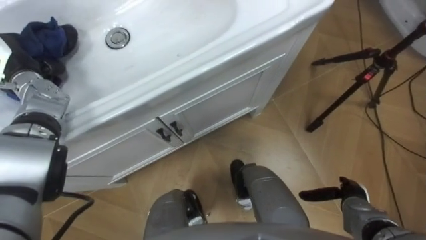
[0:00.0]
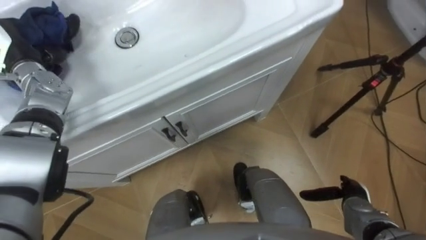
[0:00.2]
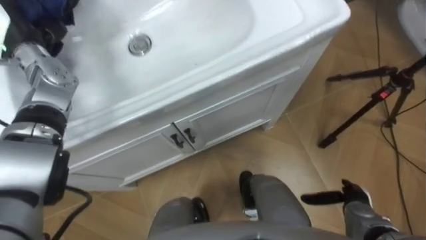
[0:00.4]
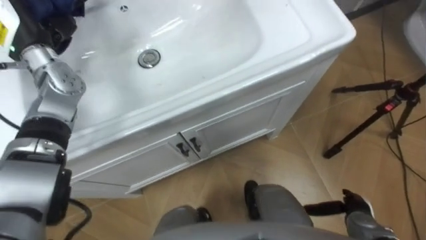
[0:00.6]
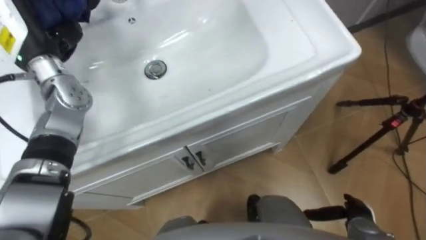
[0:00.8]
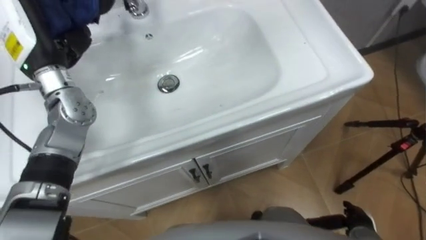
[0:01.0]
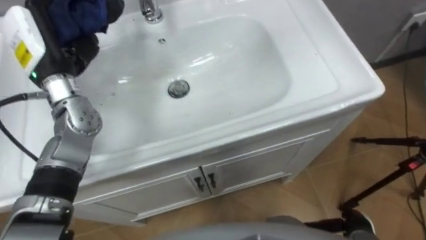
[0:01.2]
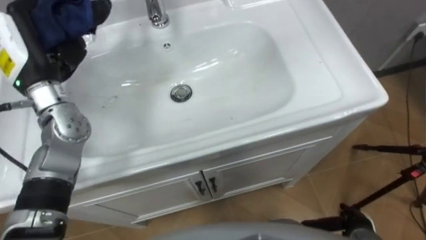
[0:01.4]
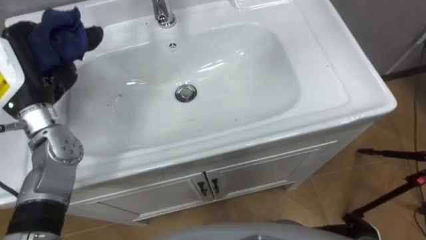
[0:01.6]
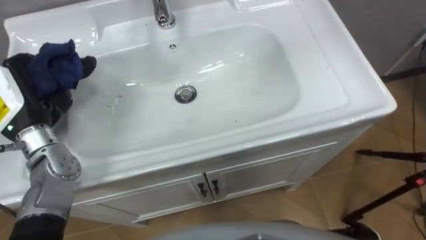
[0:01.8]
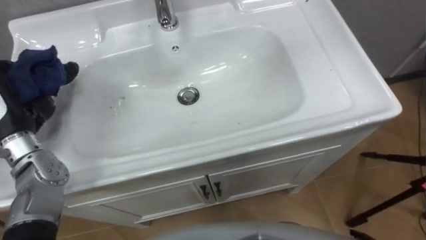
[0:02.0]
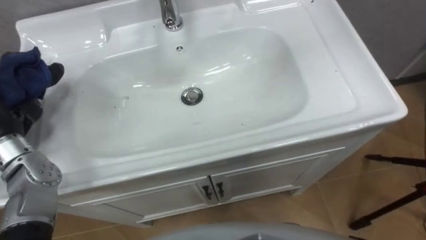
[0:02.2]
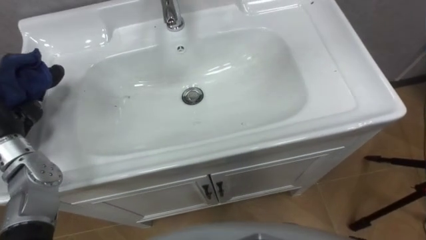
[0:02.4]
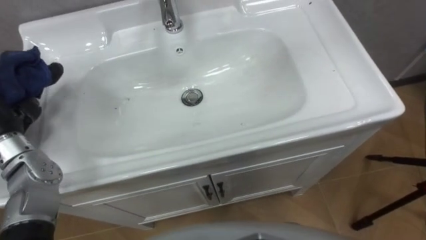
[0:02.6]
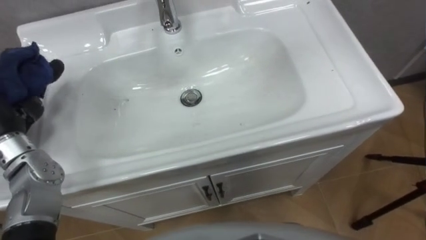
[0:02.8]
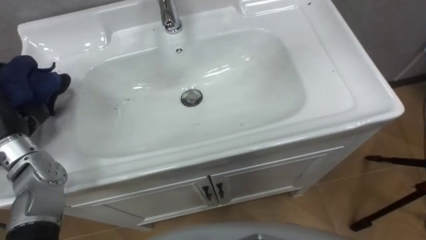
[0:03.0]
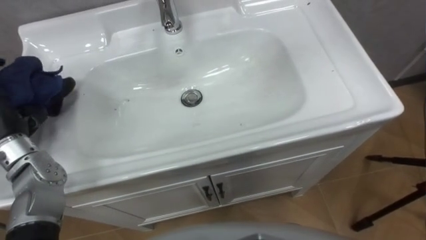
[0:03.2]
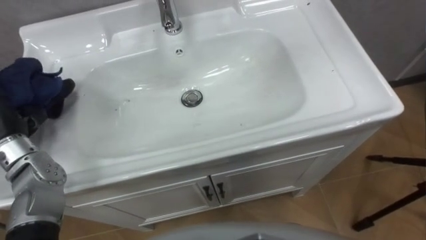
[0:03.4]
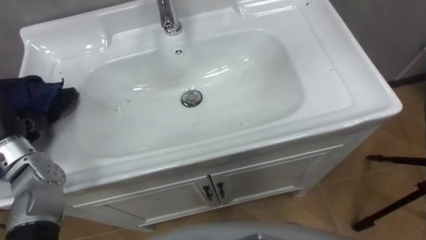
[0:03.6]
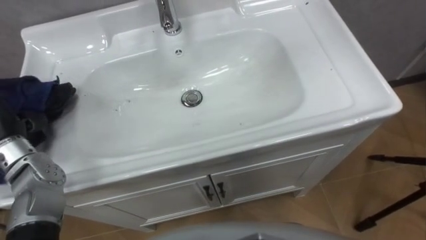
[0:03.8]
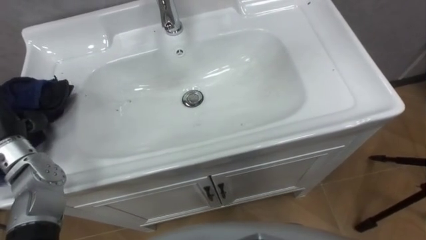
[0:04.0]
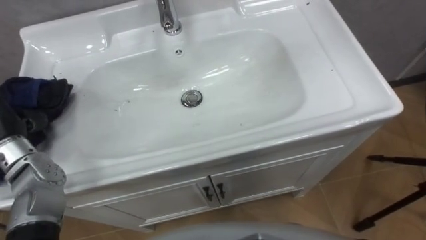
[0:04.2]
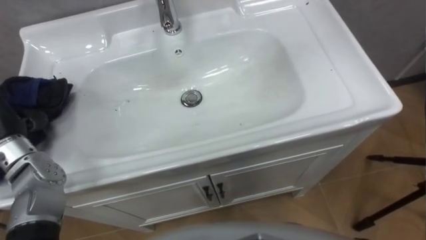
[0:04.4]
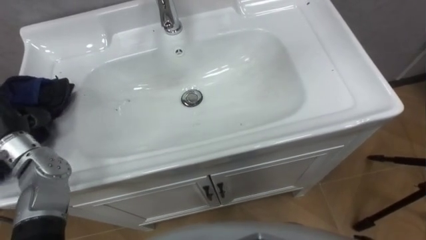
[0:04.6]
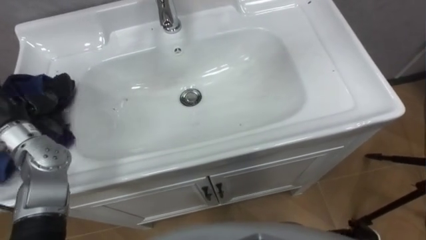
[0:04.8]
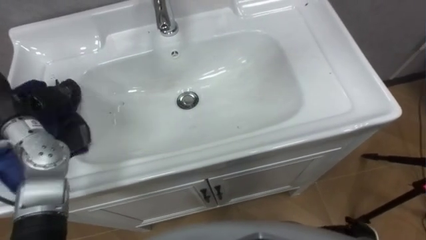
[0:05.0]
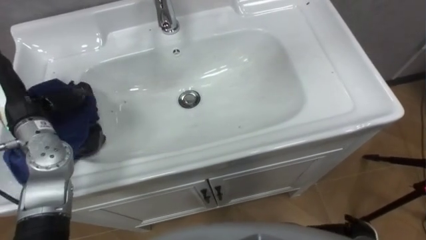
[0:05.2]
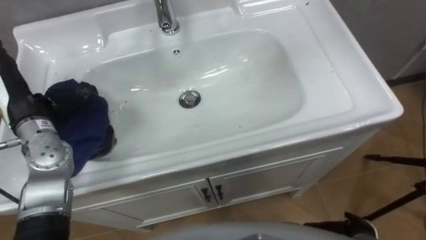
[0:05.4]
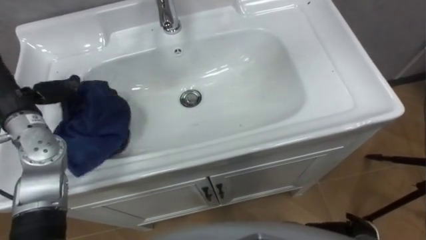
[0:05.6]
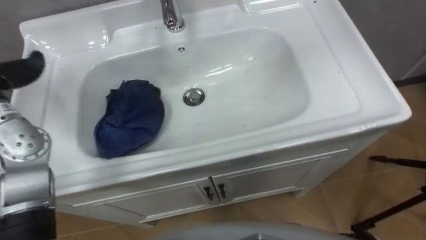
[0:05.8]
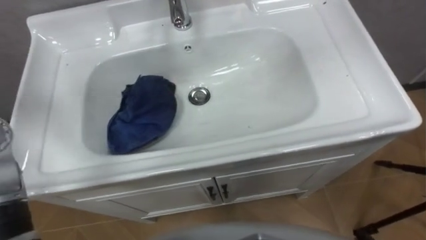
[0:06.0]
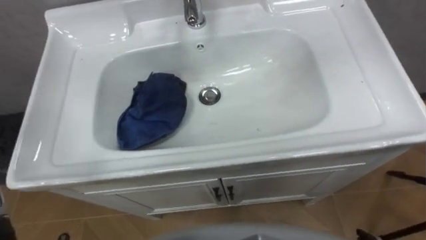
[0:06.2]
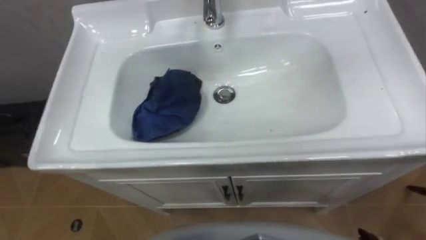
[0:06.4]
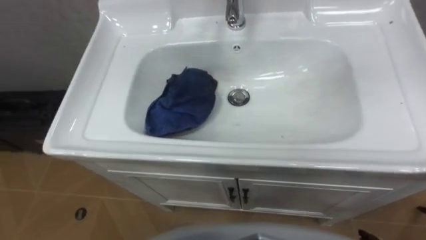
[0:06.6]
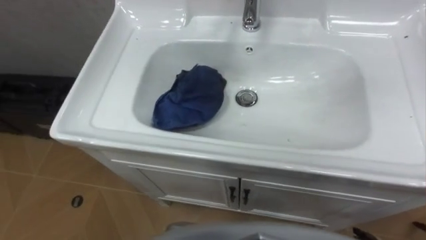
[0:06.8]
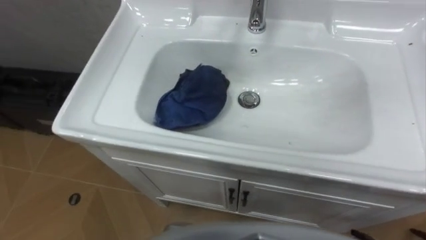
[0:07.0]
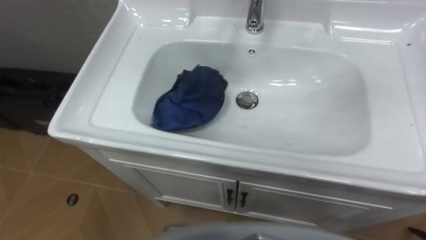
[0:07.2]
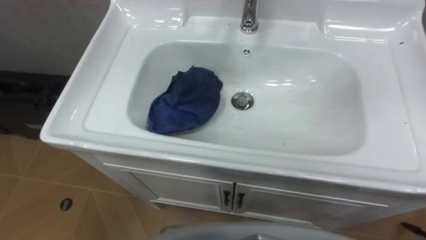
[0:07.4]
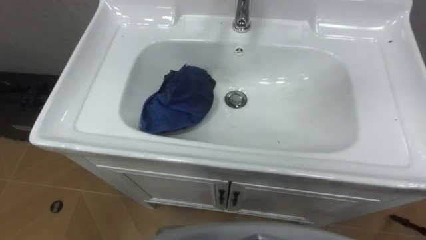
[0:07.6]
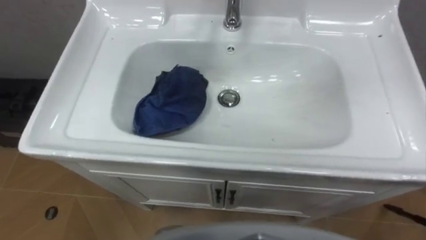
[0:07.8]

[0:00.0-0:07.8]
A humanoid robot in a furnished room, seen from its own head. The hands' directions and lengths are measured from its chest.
Task of the whole recording: Use the cloth on the right to wipe away the black stain in the sink.
0:00.0 to 0:01.6: The left hand heads backward and to the right, covering some 10 cm.

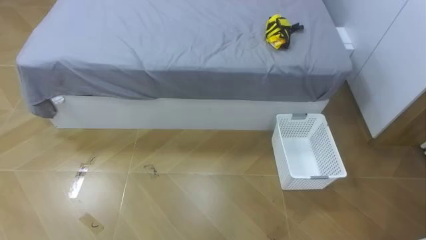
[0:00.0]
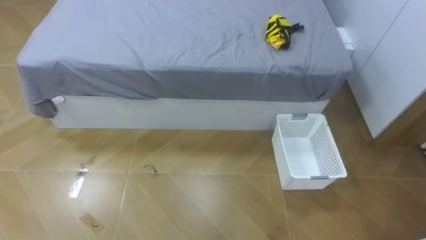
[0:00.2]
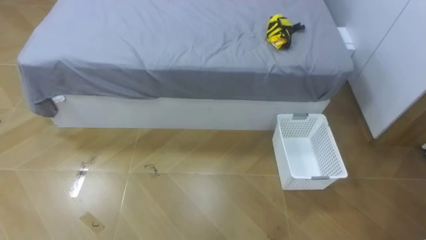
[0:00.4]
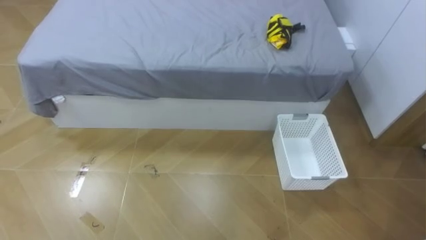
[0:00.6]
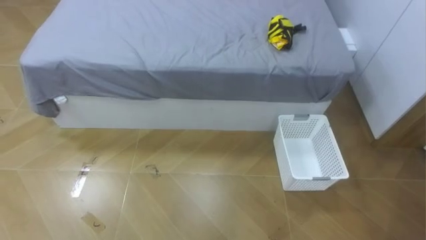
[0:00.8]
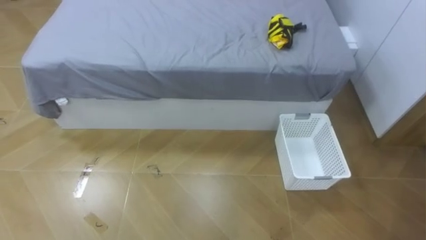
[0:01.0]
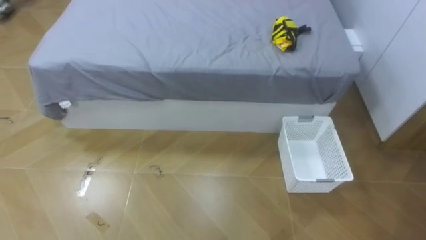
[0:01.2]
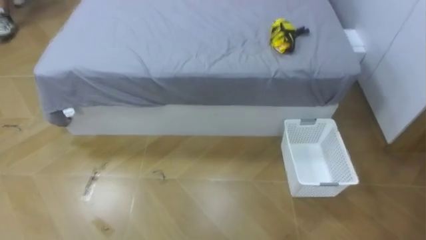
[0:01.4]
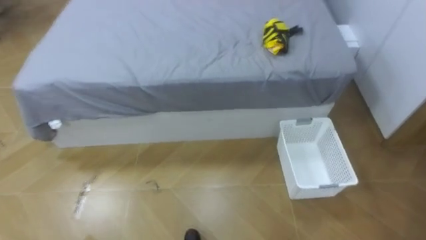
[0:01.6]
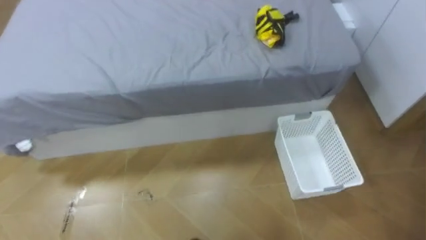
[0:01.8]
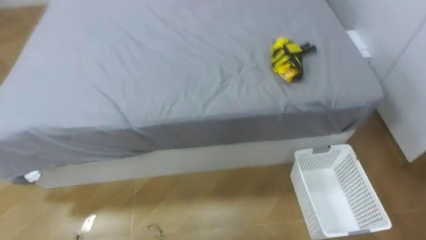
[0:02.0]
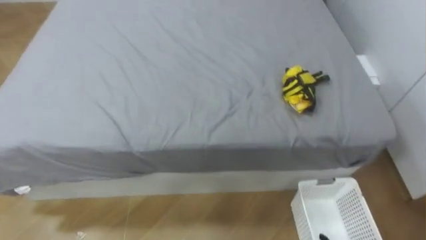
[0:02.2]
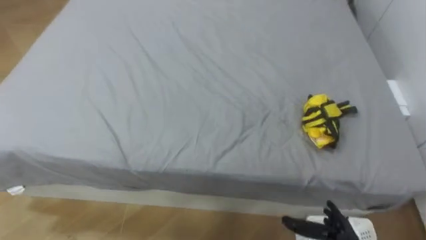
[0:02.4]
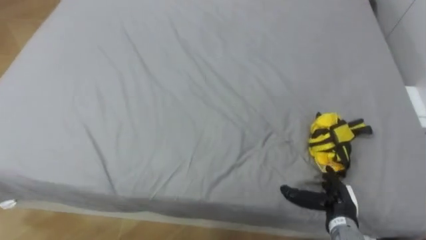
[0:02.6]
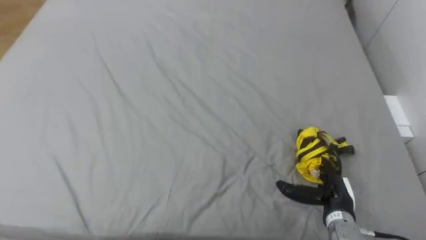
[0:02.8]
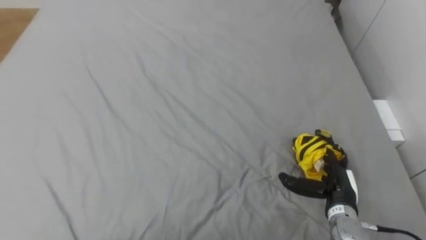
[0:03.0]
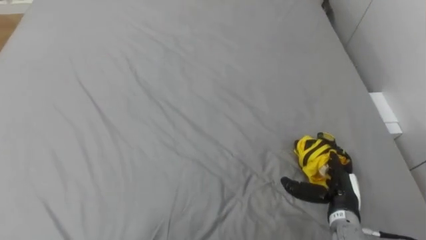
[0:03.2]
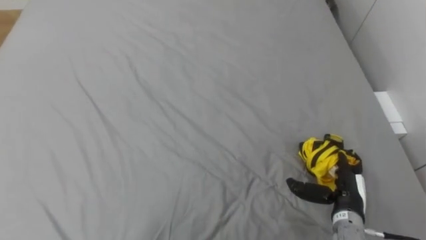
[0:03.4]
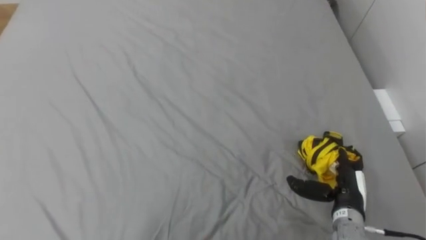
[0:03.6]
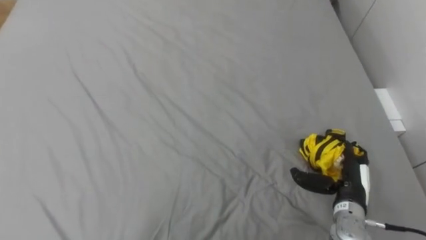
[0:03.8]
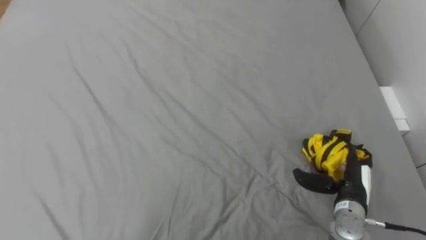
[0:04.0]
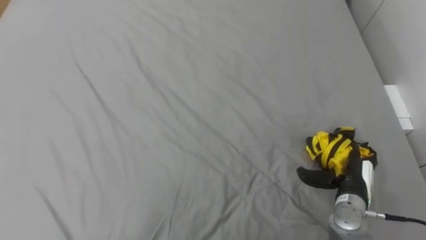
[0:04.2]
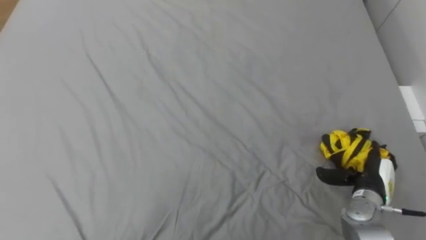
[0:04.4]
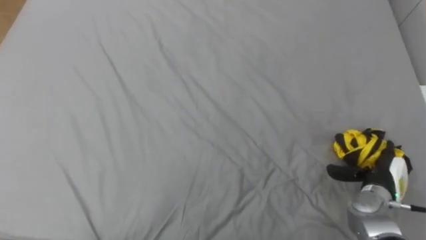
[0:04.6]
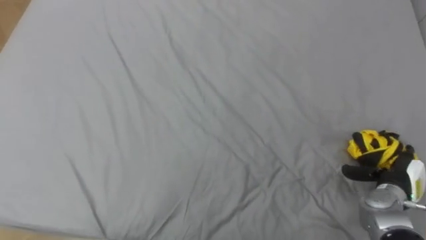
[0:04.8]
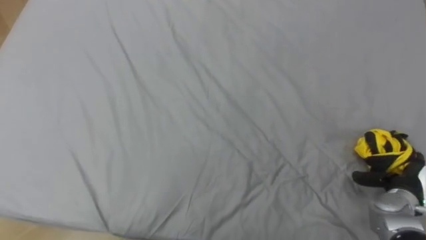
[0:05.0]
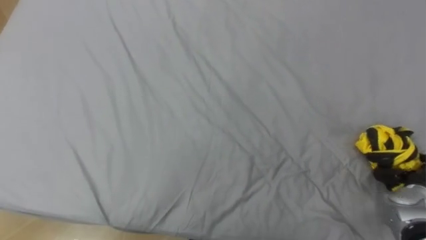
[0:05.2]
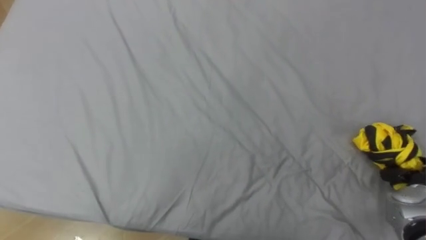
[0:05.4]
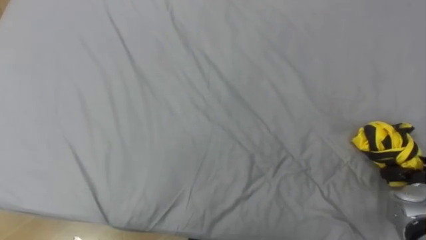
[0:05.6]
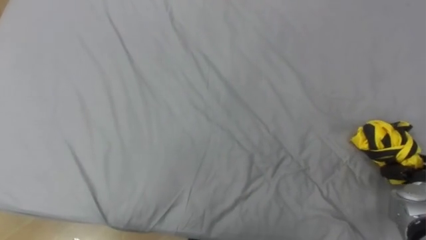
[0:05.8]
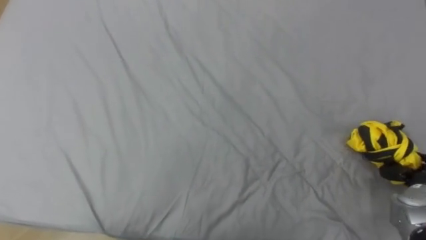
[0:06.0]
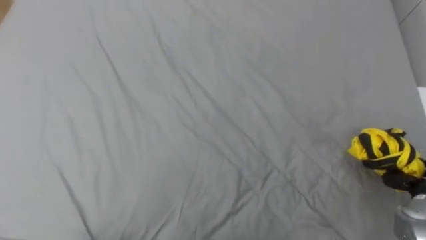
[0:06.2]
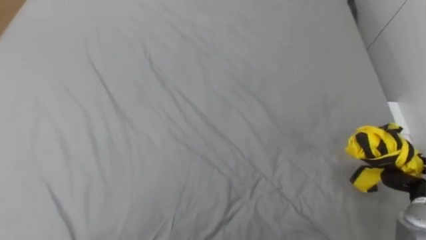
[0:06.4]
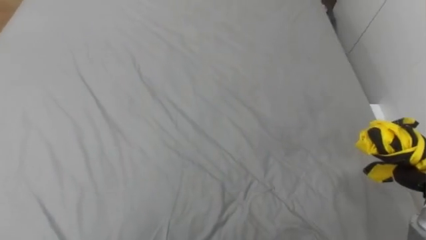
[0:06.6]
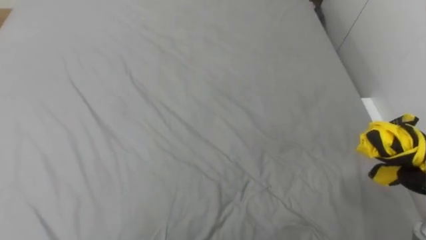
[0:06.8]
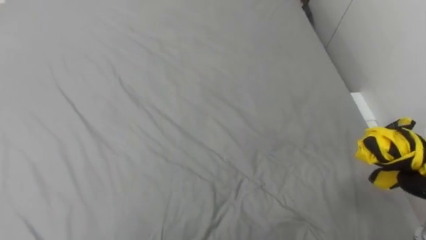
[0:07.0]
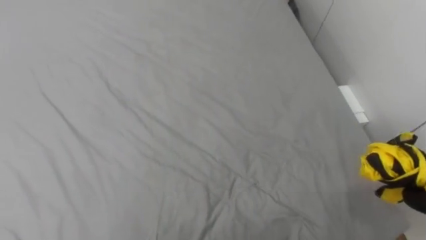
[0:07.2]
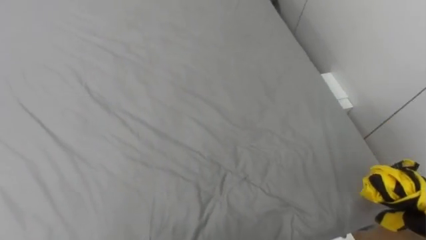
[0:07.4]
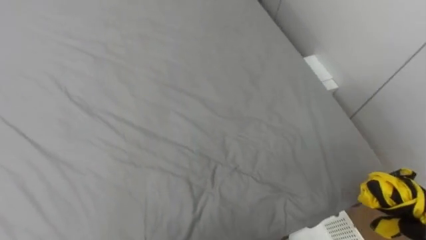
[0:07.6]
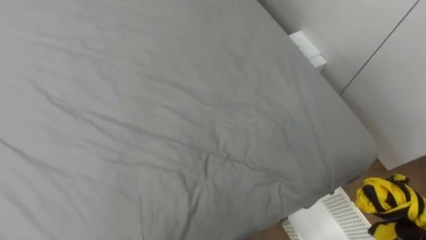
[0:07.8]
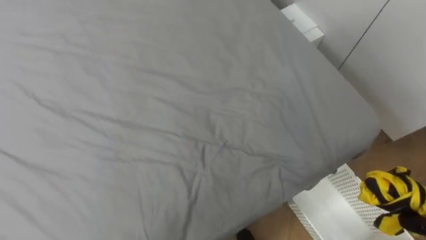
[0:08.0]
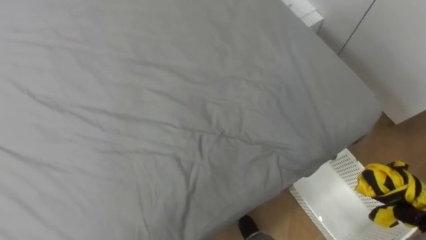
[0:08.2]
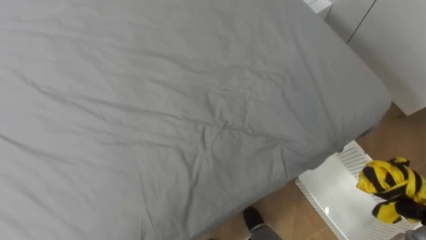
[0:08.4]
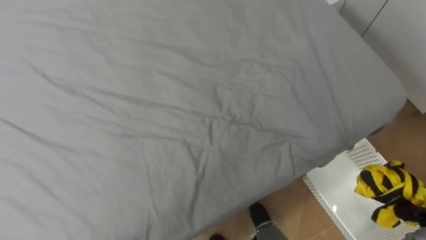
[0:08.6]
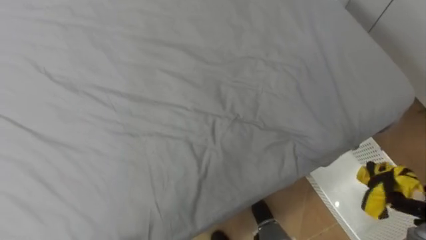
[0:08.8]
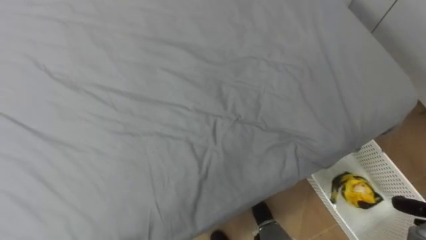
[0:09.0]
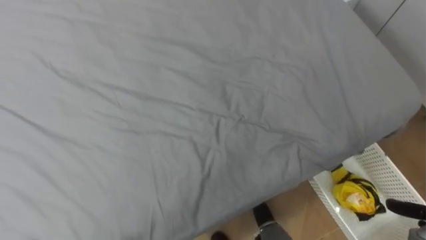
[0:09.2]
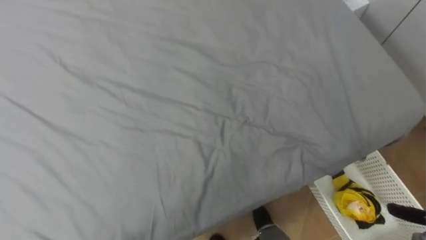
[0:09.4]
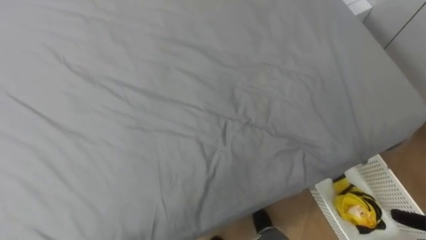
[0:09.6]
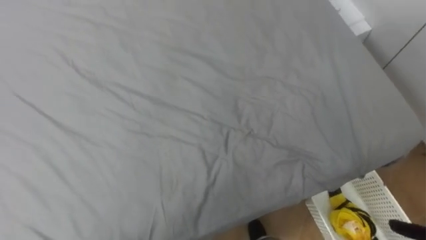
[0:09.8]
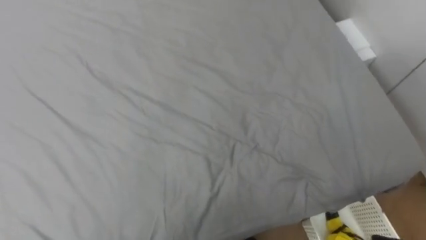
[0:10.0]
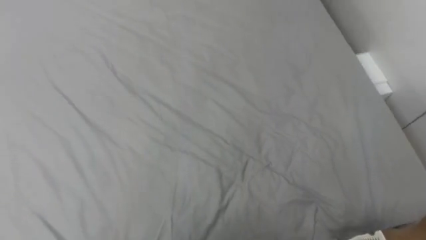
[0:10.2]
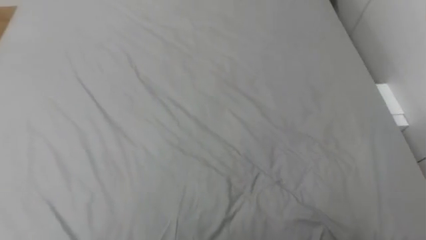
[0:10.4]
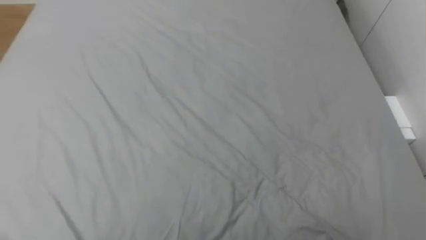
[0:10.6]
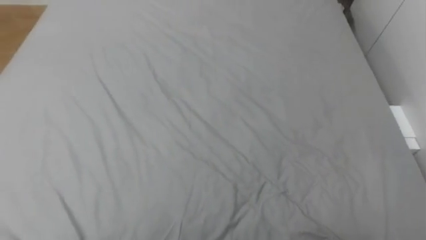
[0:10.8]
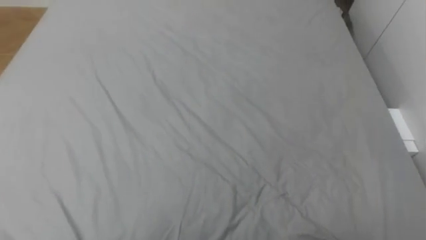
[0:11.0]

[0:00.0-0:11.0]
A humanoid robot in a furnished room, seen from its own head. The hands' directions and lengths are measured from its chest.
Task of the whole recording: Pick up the yellow clothes on the bed and place them into the white basket on the right.
0:03.2 to 0:04.8: The right hand travels to the right by some 10 cm.
0:04.8 to 0:06.2: The right hand moves to the right, about 5 cm, and closes.
0:09.4 to 0:11.0: The robot faces some 15 degrees further to its left.
